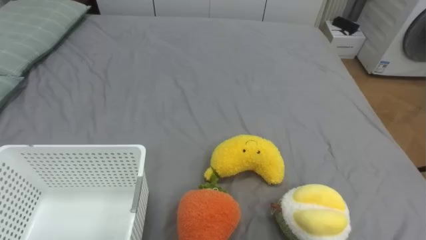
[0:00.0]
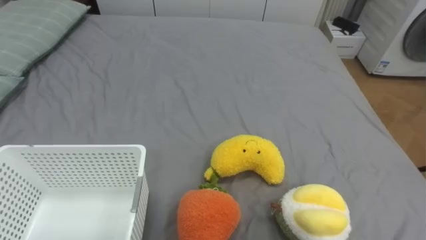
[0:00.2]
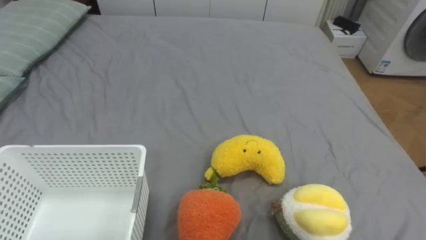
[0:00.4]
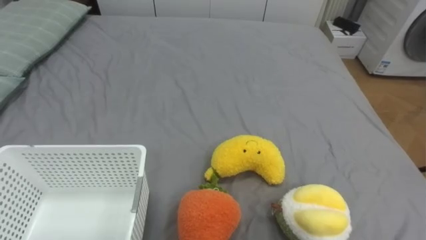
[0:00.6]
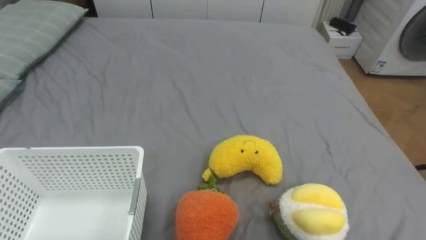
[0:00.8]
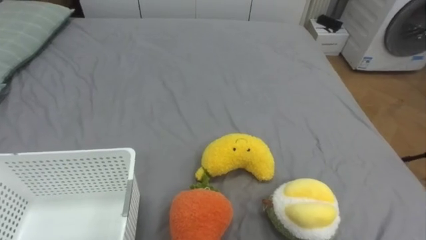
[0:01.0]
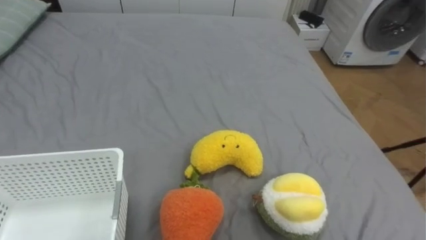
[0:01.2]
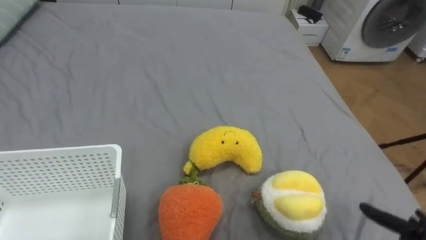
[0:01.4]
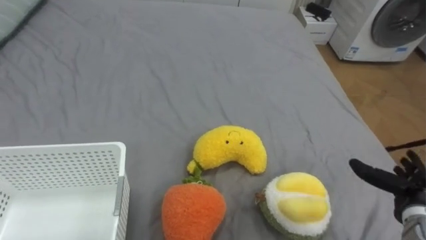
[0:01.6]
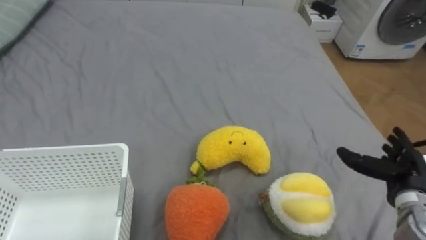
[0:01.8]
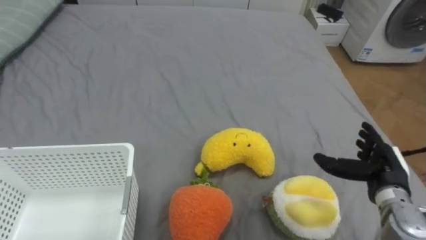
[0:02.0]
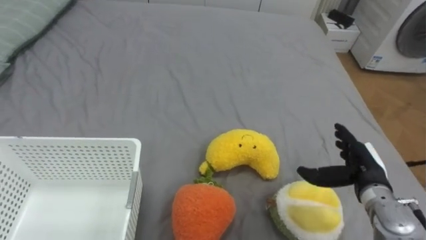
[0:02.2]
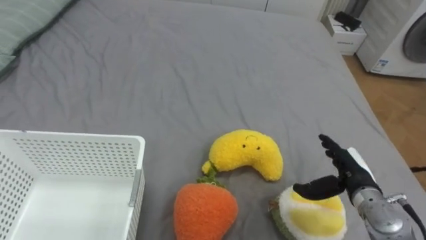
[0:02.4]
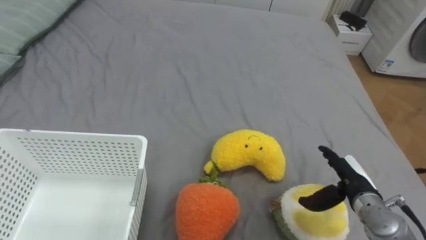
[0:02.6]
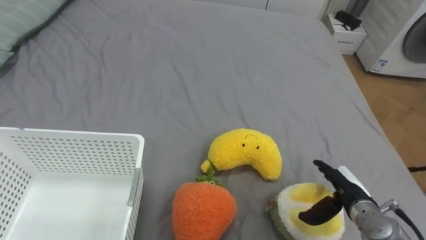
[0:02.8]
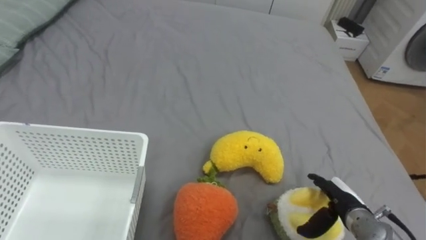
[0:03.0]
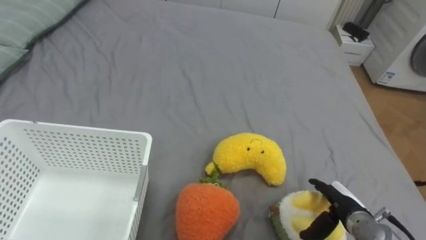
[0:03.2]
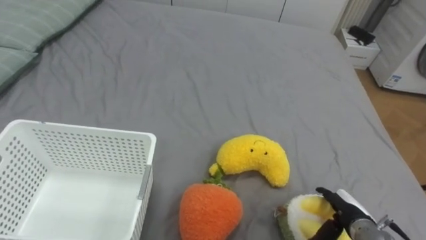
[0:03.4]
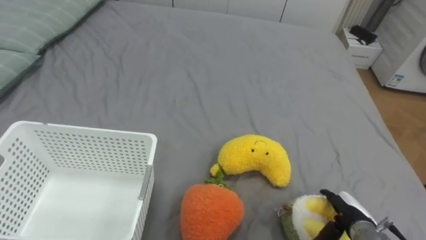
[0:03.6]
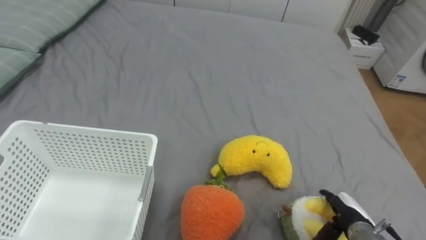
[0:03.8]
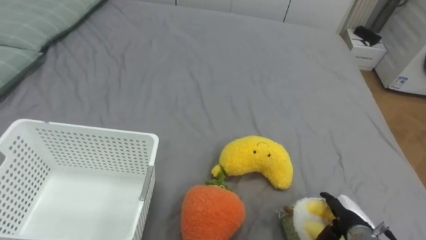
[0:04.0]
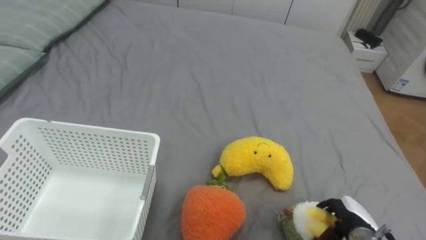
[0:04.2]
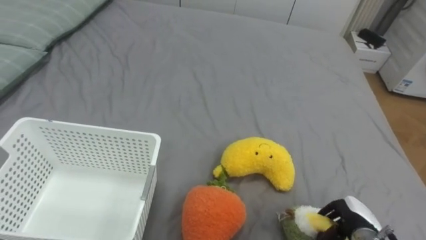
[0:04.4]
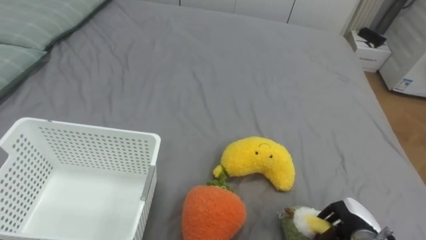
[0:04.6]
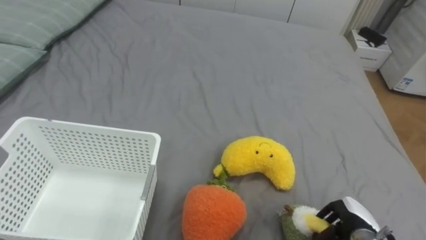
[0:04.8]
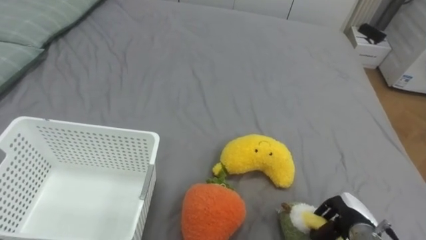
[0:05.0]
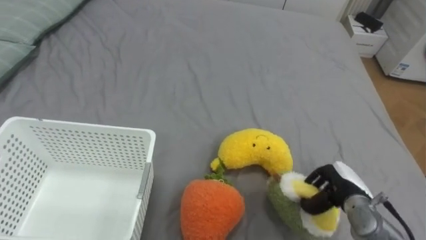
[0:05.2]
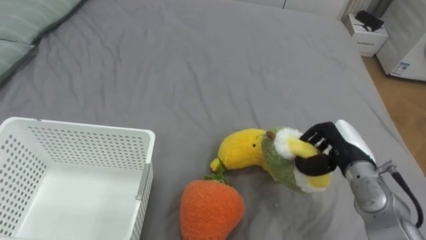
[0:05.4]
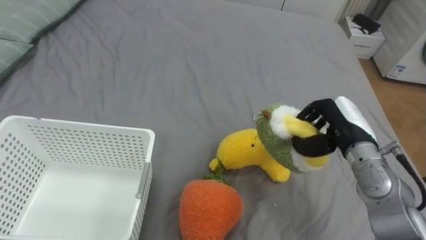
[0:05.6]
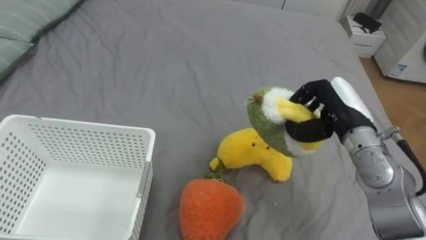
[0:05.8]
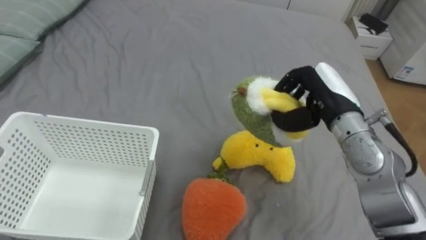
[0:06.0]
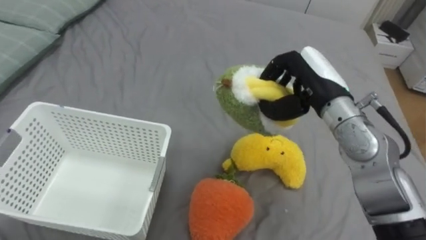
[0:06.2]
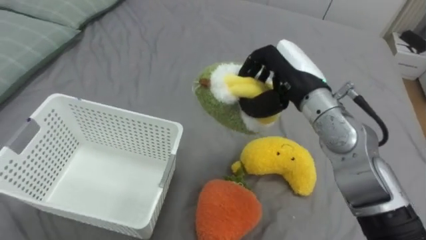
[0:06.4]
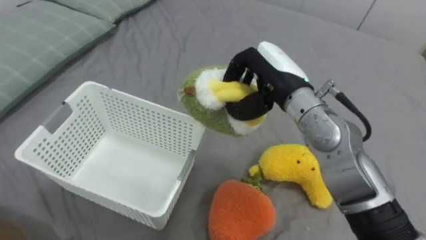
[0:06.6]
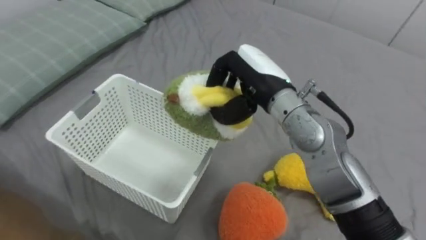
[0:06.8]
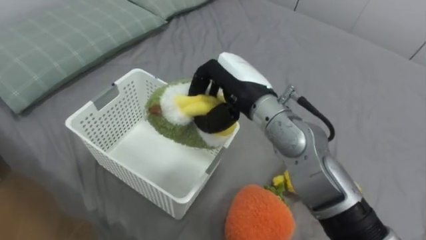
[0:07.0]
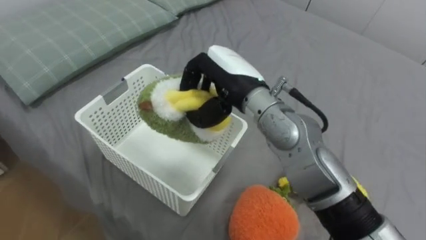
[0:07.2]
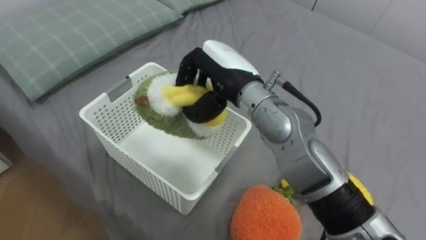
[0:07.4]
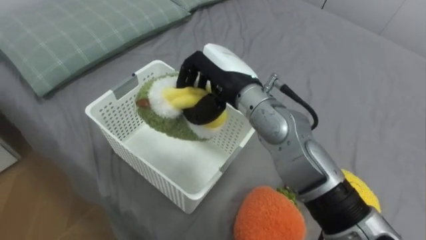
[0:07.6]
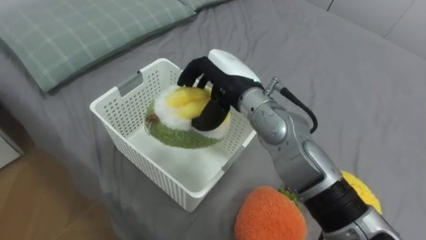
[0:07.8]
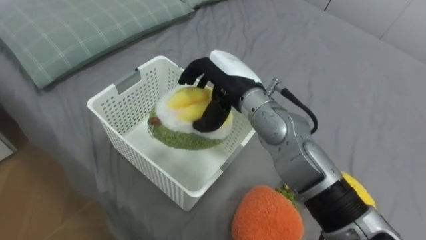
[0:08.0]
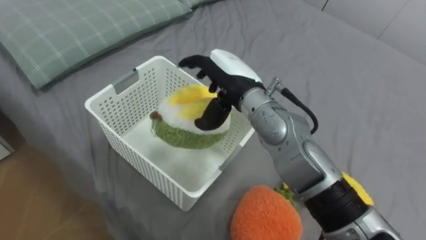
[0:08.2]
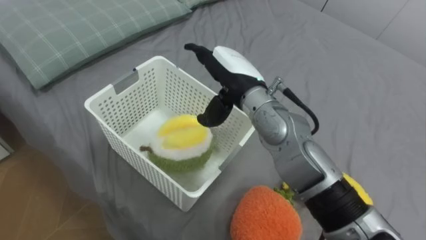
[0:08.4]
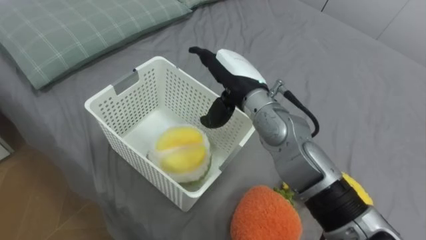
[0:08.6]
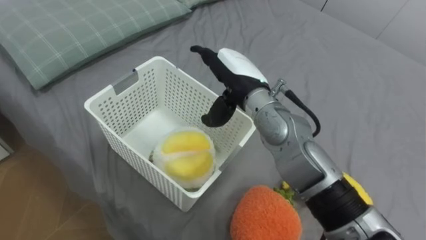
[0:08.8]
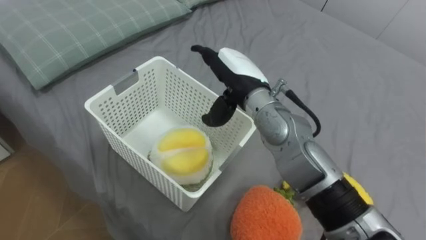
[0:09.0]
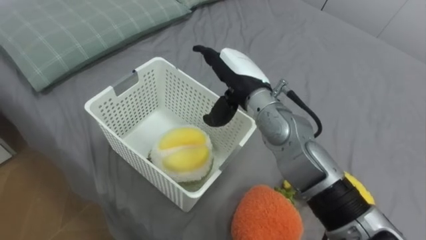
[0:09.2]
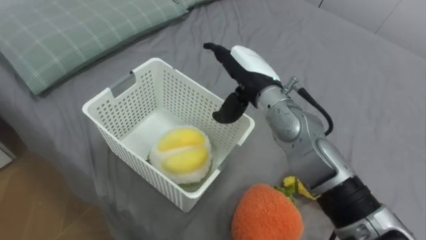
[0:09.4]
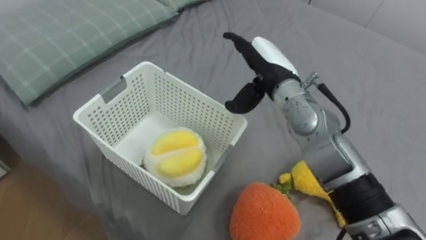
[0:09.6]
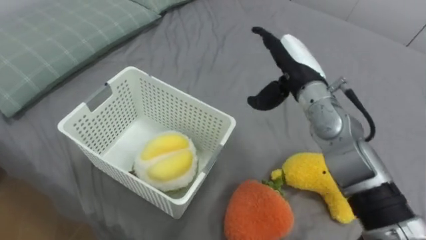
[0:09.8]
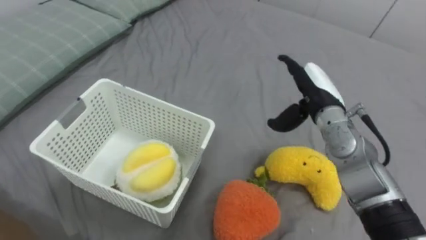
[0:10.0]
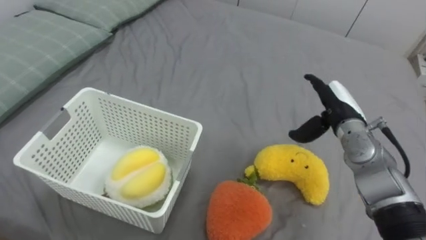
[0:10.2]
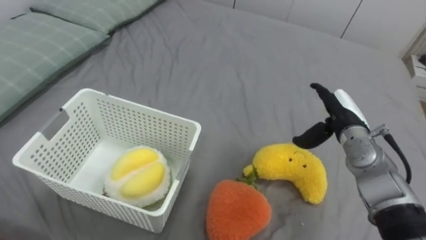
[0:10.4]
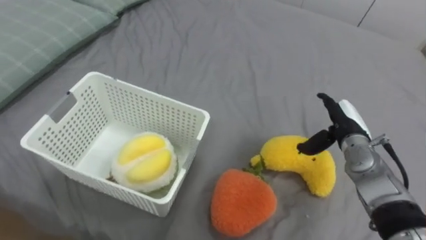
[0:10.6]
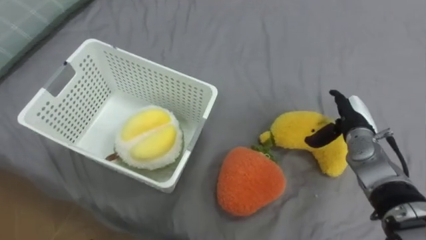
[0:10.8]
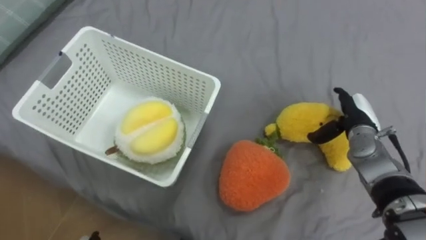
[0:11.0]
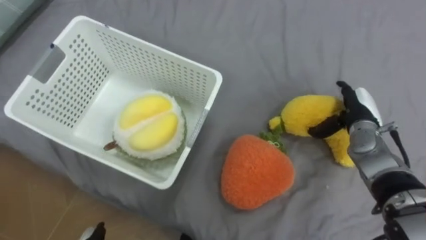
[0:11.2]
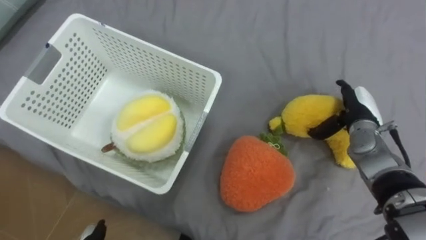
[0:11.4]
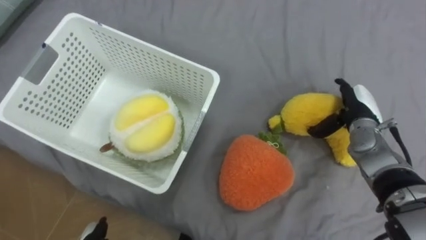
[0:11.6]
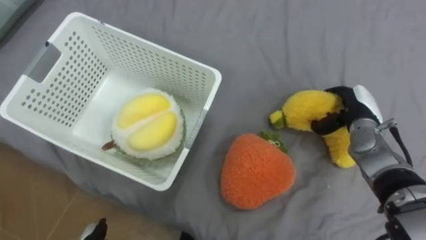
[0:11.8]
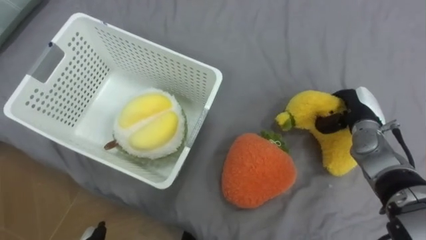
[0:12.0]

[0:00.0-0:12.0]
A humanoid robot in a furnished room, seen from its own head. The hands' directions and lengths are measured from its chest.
Task of the whole recording: Put the toys on the bed into the basket on the left.
0:01.6 to 0:03.0: The right hand travels to the left and downward by about 10 cm.
0:03.0 to 0:04.4: The right hand changes place by roughly 5 cm, and closes.
0:04.4 to 0:06.0: The right hand travels upward and forward by roughly 30 cm.
0:06.0 to 0:07.6: The right hand moves to the left, roughly 20 cm.
0:07.6 to 0:09.0: The right hand opens.
0:09.0 to 0:10.4: The right hand heads to the right and downward, covering roughly 25 cm.
0:10.4 to 0:12.0: The right hand ends up roughly 5 cm from where it was, and closes its fingers.

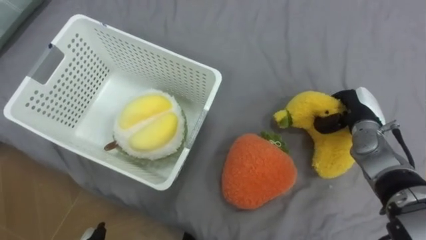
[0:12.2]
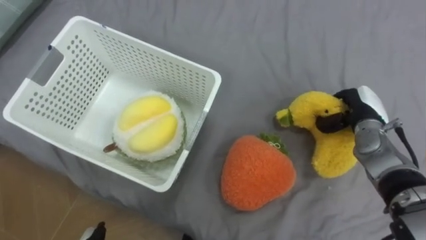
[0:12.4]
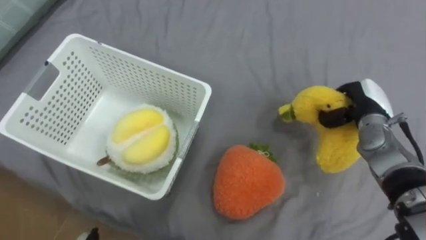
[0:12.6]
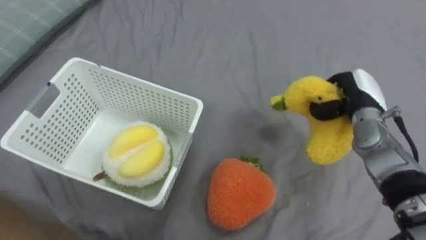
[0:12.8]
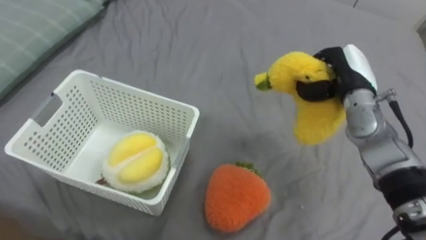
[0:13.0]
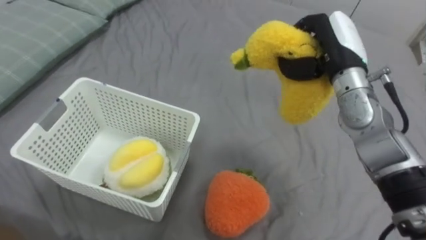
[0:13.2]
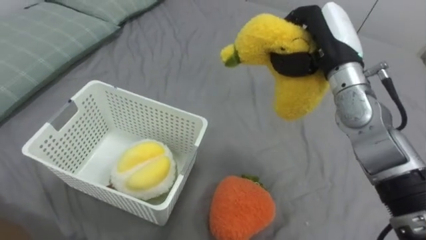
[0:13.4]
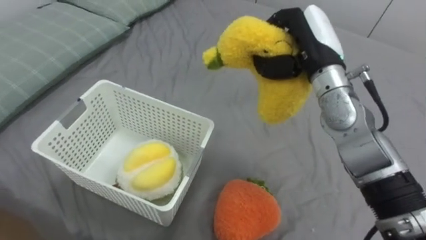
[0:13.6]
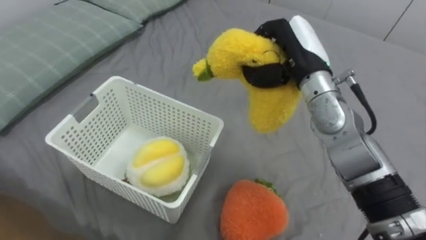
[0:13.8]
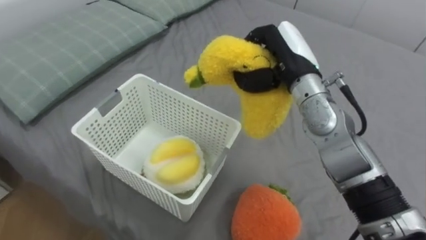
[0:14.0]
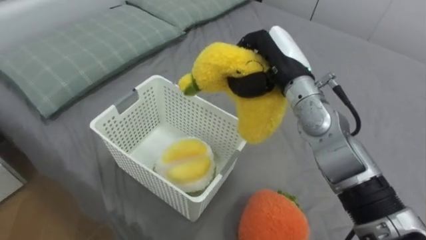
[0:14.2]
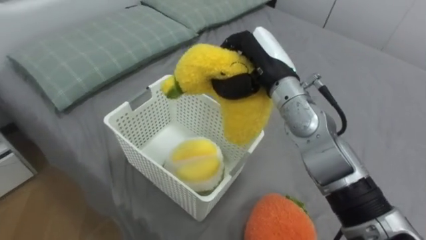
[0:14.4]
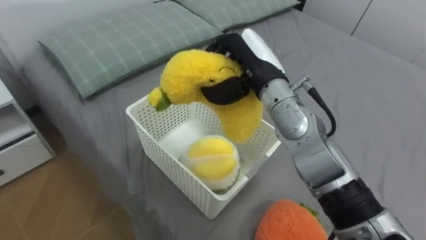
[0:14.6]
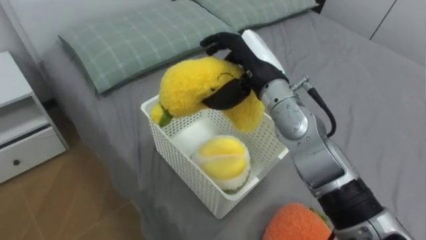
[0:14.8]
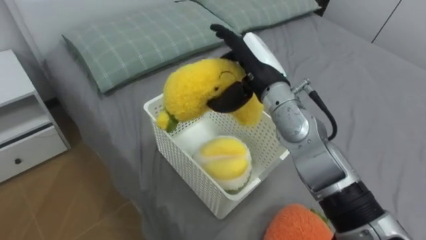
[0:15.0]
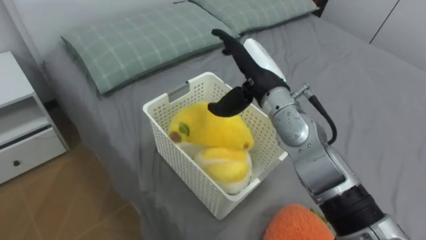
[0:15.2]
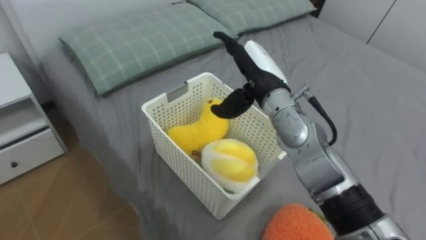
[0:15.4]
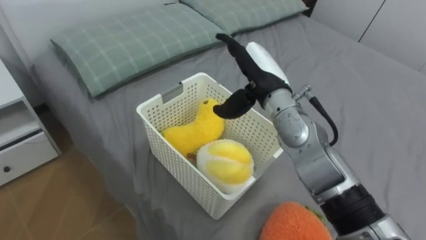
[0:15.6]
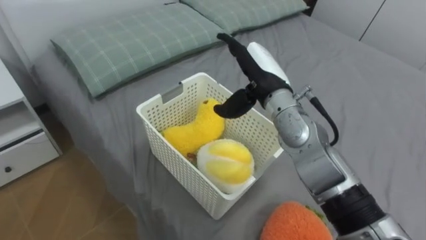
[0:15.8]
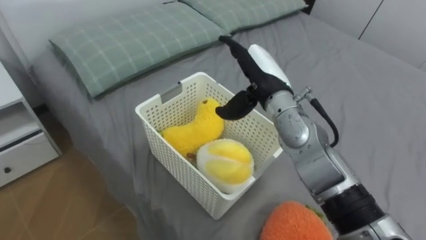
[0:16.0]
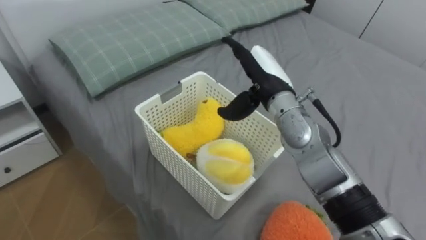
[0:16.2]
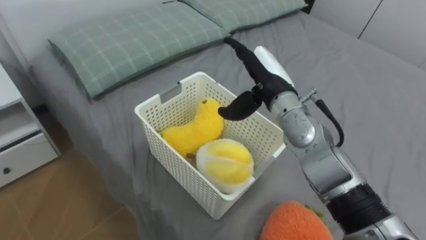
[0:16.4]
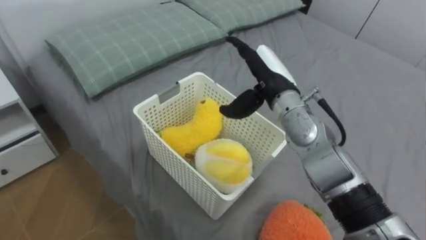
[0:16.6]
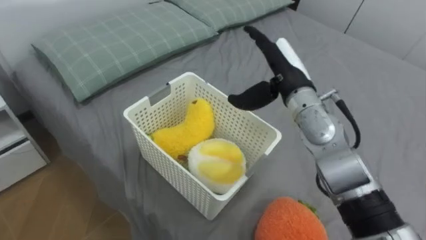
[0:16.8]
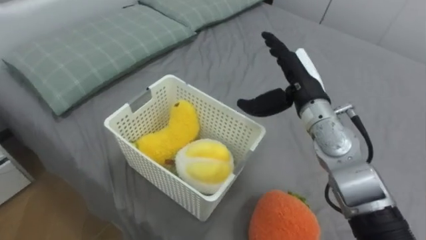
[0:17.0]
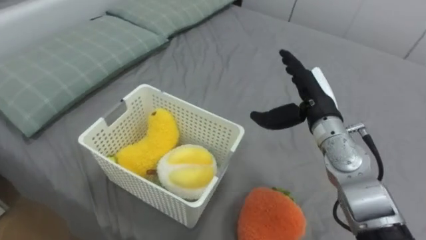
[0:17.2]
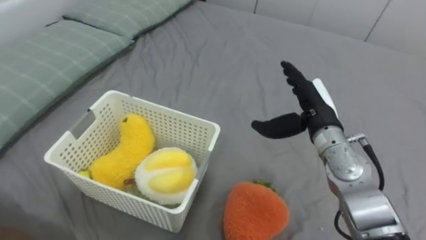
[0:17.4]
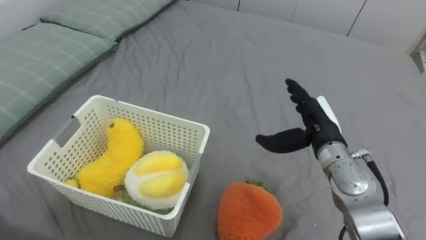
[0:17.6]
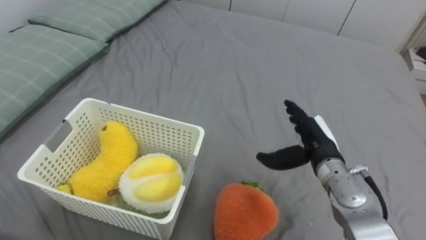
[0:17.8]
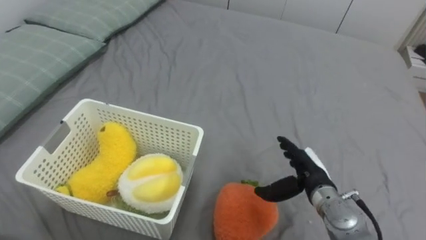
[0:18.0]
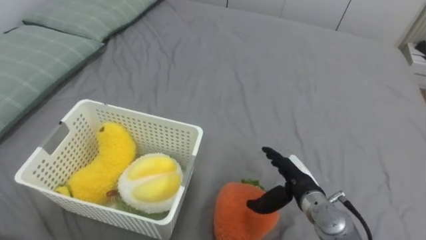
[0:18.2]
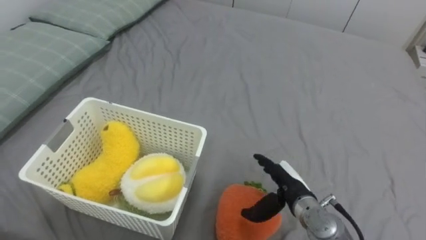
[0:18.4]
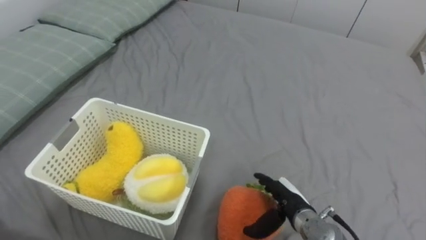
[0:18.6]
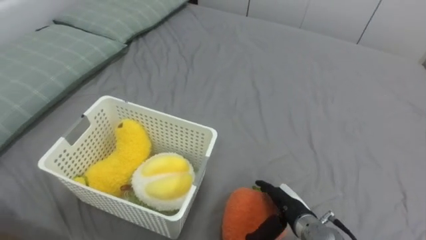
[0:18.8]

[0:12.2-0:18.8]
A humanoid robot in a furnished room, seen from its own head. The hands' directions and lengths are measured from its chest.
Task of the whole recording: Put the toys on the bed into the basket on the left.
0:12.2 to 0:13.8: The right hand is displaced to the left and upward by about 20 cm.
0:13.8 to 0:15.4: The right hand shifts approximately 5 cm to the left, and opens.
0:15.4 to 0:17.2: The right hand travels to the right by approximately 10 cm.
0:17.2 to 0:18.8: The right hand moves downward and backward, roughly 25 cm.
